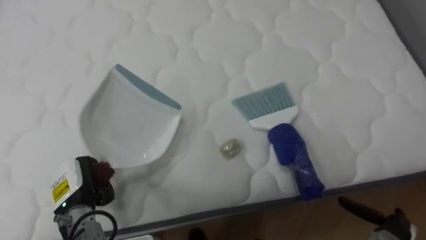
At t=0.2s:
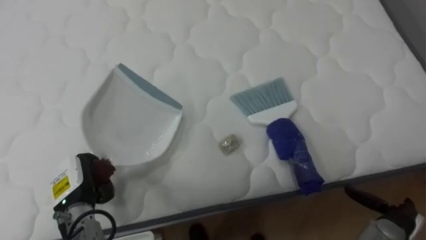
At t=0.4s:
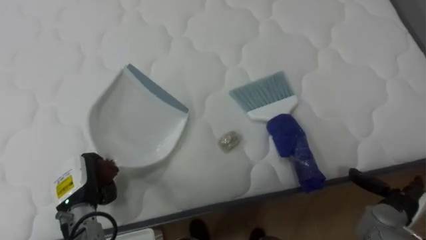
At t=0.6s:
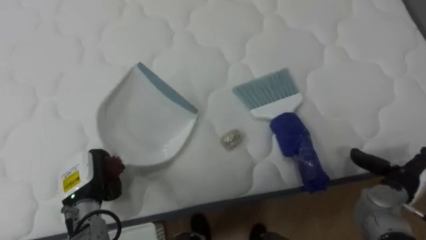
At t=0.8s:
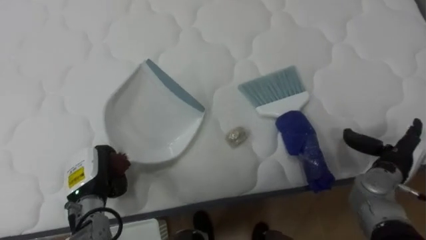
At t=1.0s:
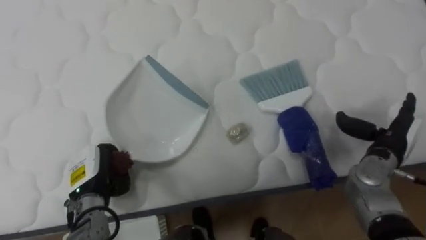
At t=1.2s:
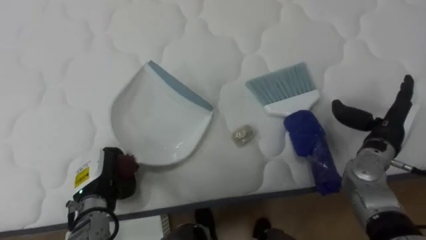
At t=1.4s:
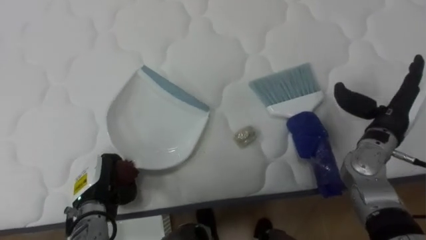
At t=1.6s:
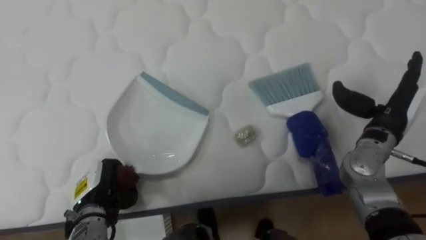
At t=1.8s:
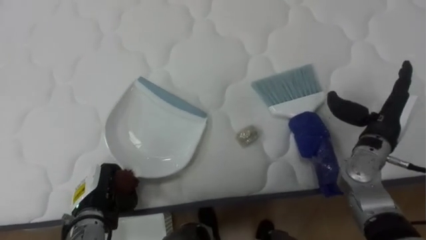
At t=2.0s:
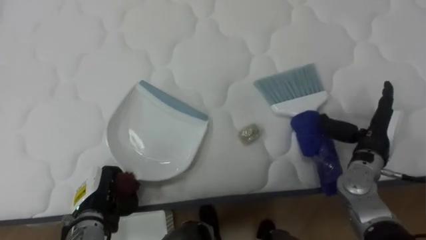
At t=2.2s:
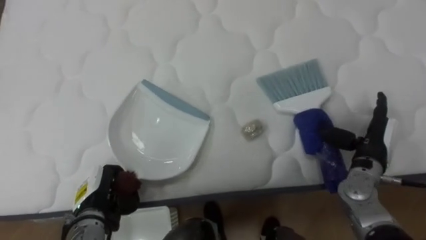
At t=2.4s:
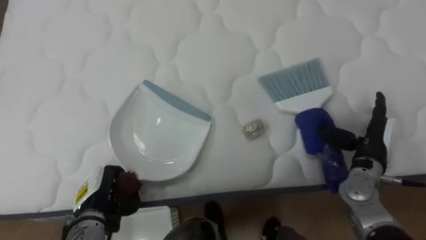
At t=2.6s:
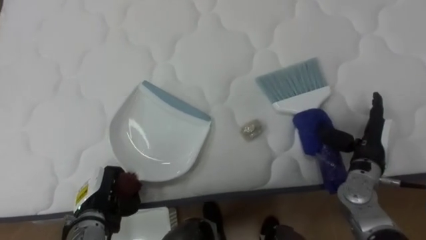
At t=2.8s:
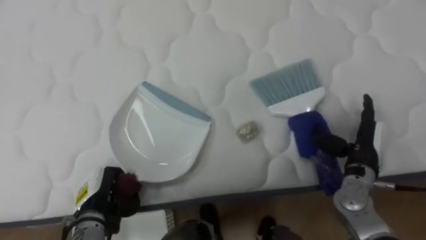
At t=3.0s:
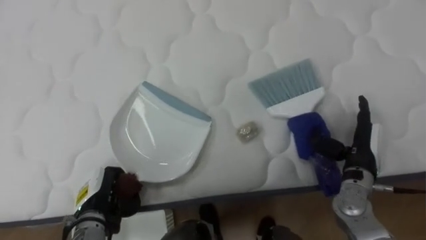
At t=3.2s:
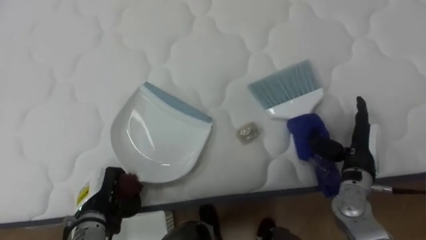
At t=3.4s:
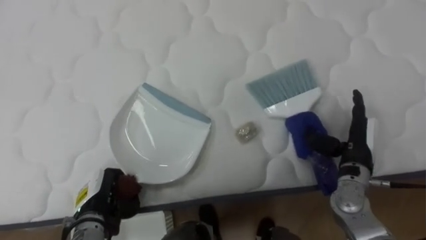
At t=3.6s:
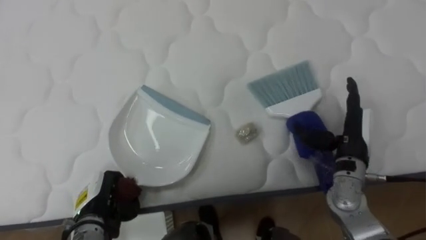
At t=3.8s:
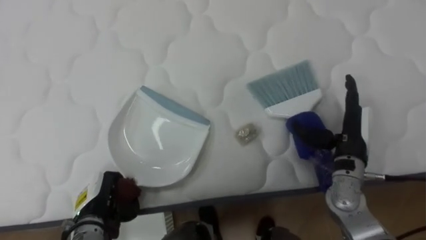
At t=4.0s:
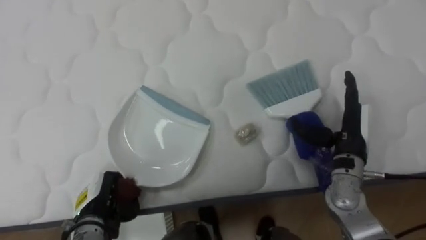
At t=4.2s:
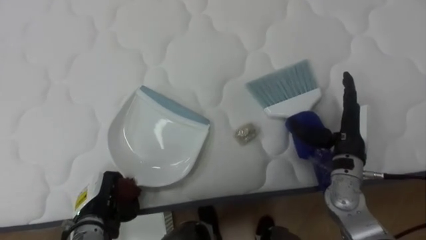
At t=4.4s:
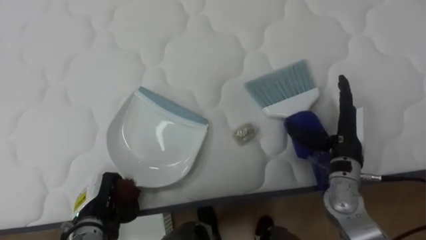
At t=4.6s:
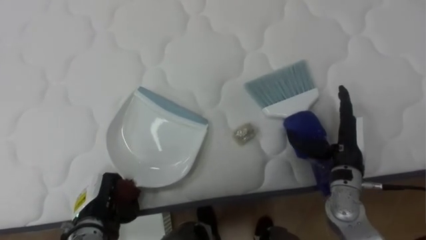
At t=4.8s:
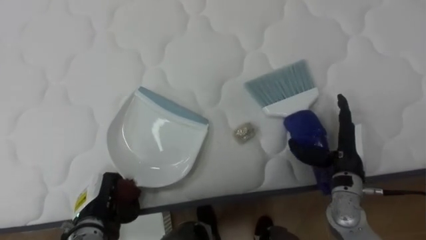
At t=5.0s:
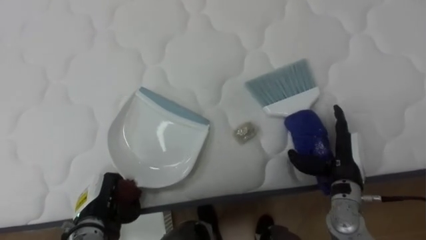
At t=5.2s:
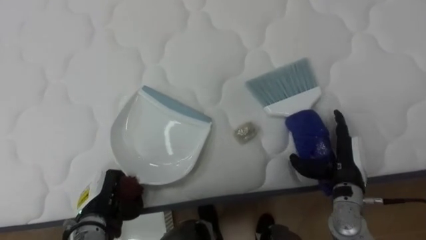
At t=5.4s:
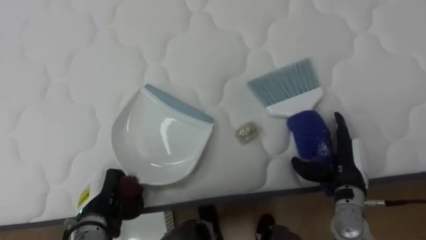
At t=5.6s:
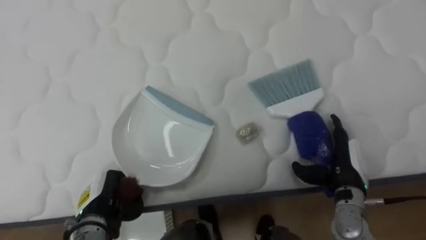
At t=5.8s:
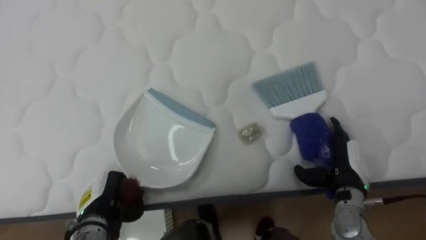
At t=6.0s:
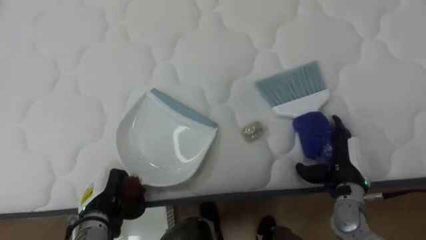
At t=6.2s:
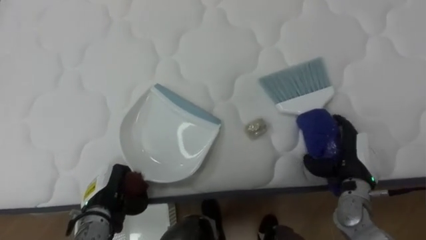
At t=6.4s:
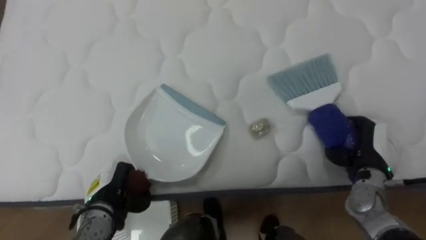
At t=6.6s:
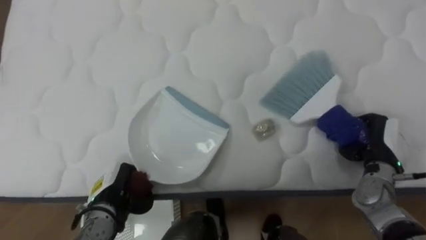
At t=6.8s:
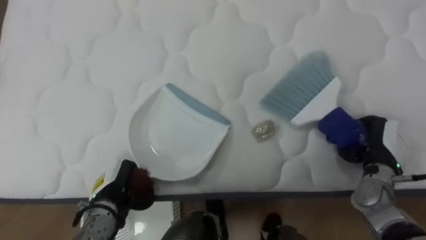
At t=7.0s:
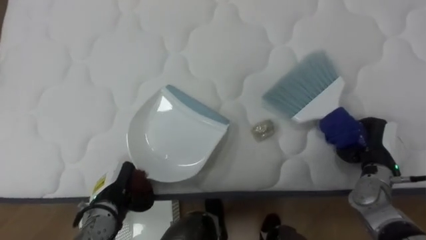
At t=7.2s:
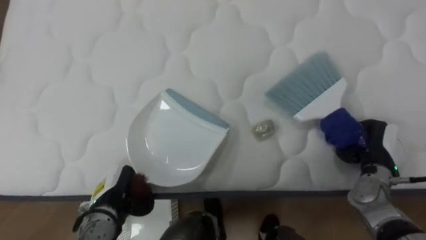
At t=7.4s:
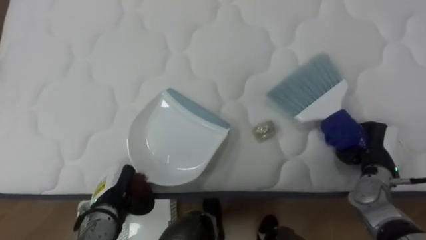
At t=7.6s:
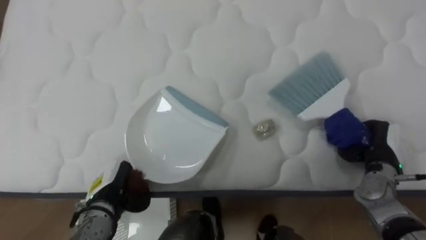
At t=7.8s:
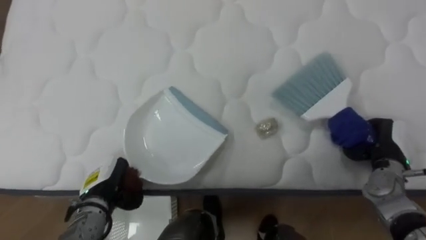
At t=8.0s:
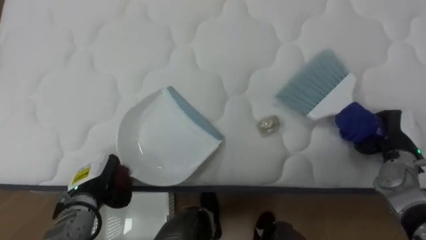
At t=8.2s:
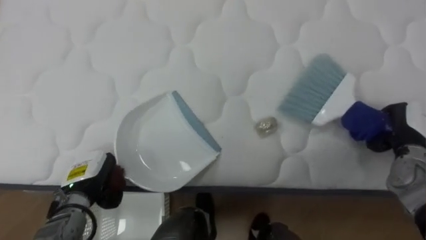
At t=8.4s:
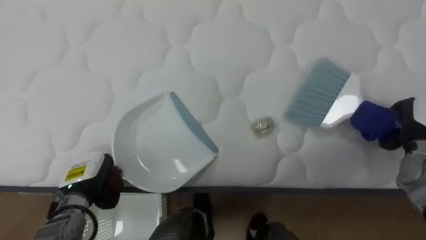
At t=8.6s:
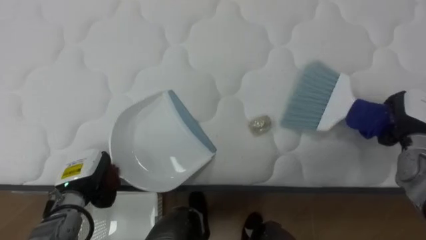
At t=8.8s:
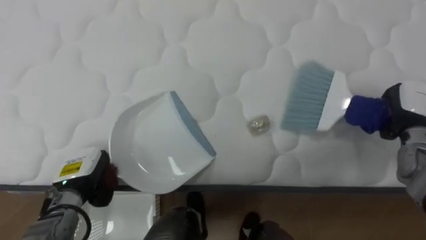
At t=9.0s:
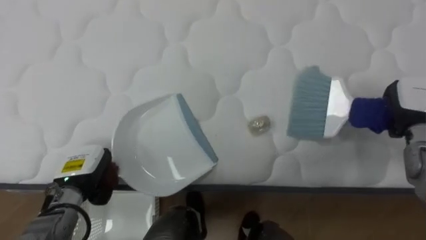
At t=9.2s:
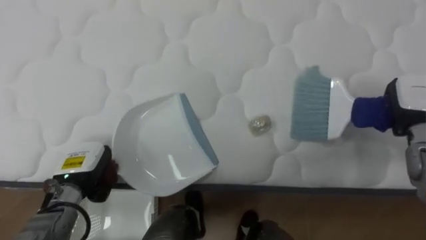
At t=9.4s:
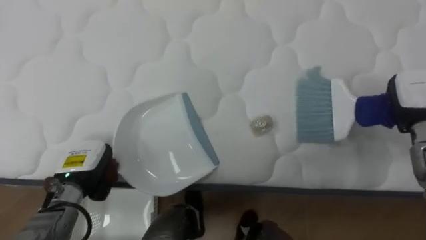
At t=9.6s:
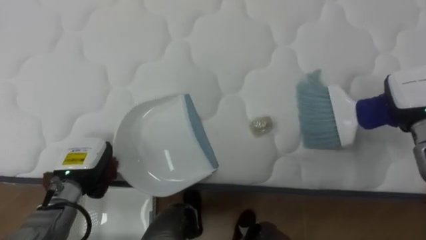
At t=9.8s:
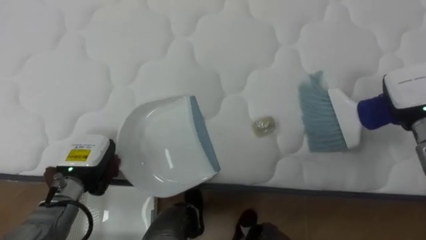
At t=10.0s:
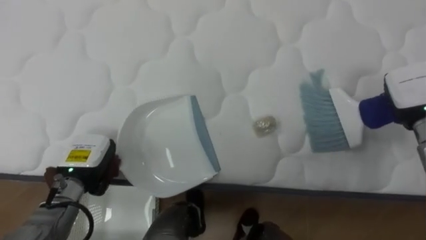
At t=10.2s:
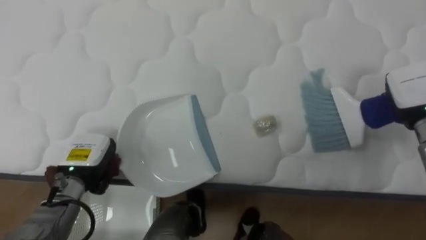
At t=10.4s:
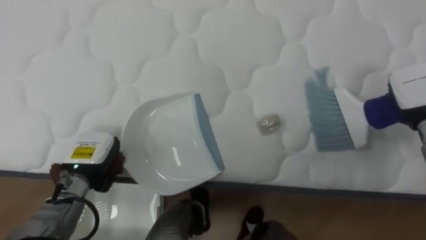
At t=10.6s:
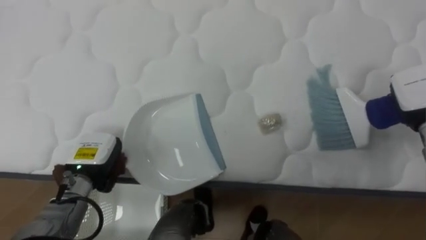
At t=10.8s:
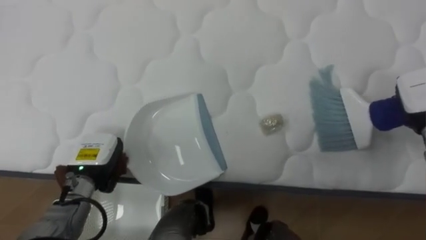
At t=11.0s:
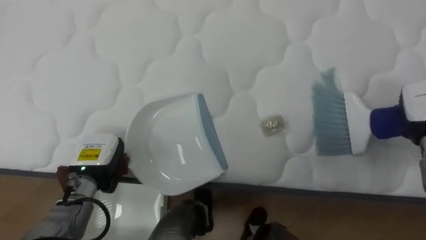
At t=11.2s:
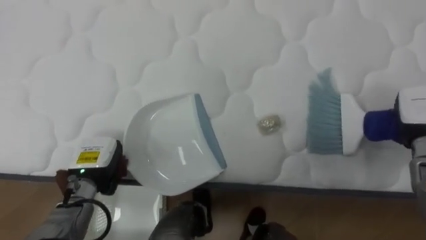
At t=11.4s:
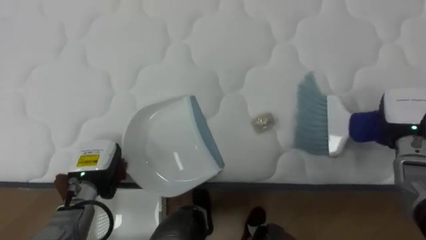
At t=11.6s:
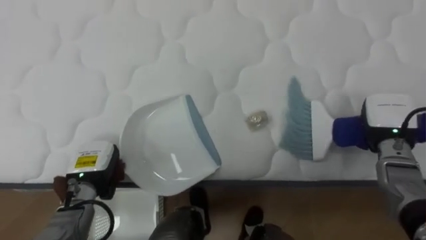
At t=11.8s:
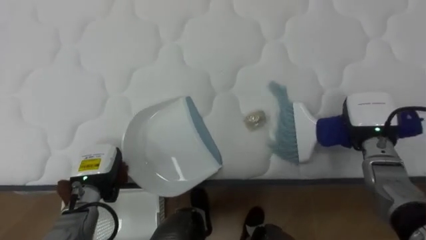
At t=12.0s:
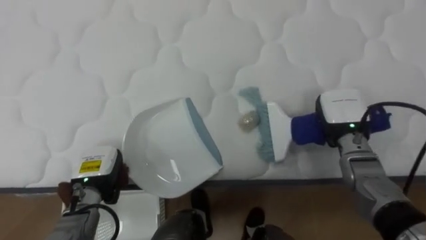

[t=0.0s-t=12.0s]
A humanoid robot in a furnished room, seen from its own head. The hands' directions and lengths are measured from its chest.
Task of the whole recording: Pick up the brush on your right and the dustpan on your left. Use the brush to sweep the crumpled paper on the bed into the dustpan, then turn left and empty it into the basket.
t=0.0s to t=1.6s: The right hand heads upward and forward, covering roughly 25 cm.
t=1.6s to t=3.0s: The right hand travels downward by approximately 10 cm.
t=3.0s to t=4.4s: The right hand changes place by some 5 cm.
t=4.4s to t=6.0s: The right hand moves downward, roughly 5 cm.
t=6.0s to t=7.6s: The right hand shifts some 5 cm to the right, and closes up.
t=7.6s to t=9.0s: The left hand shifts by roughly 5 cm; the right hand travels upward and forward by about 10 cm.
t=10.4s to t=12.0s: The right hand travels to the left and downward by about 15 cm.

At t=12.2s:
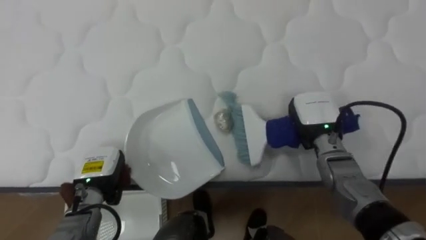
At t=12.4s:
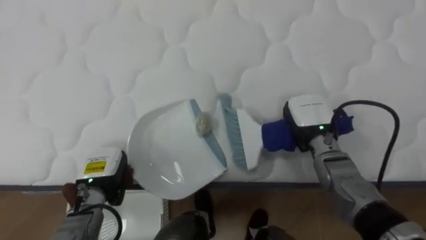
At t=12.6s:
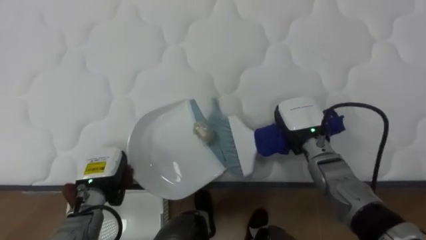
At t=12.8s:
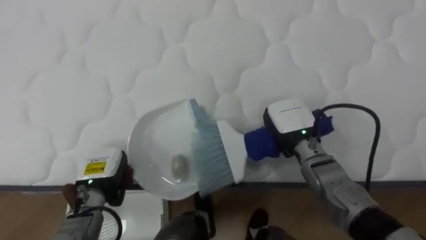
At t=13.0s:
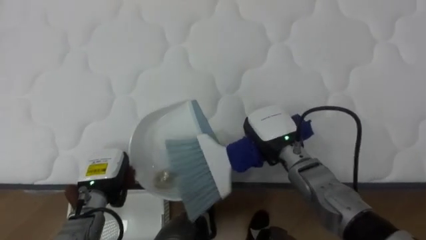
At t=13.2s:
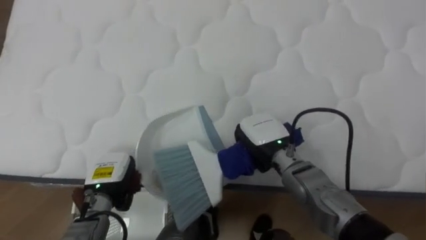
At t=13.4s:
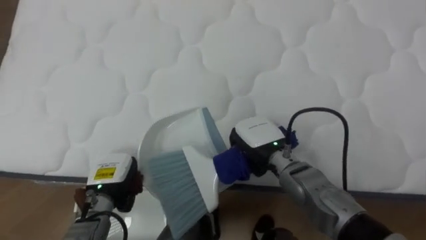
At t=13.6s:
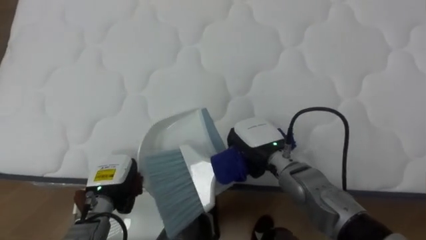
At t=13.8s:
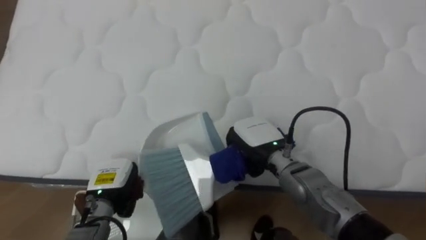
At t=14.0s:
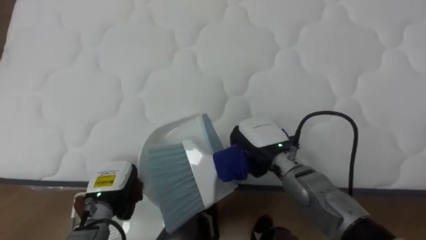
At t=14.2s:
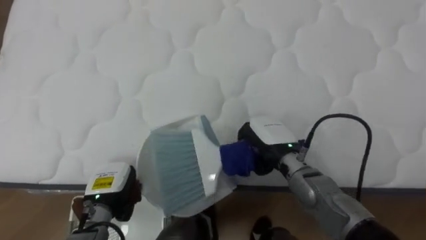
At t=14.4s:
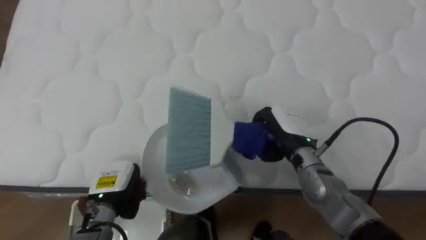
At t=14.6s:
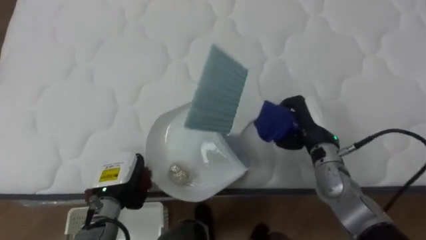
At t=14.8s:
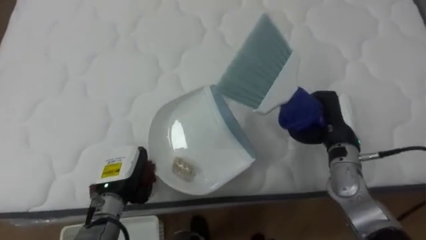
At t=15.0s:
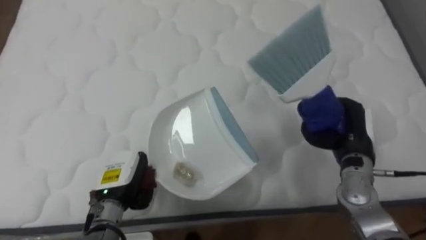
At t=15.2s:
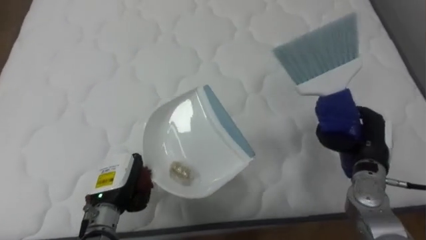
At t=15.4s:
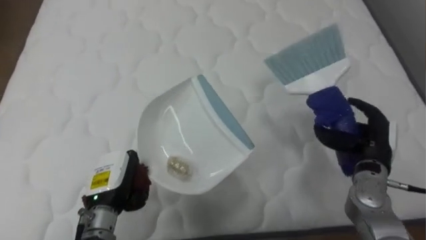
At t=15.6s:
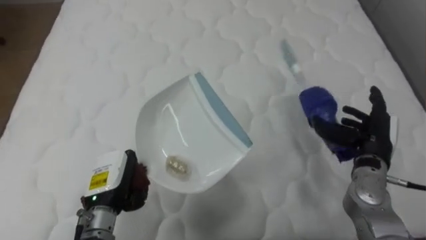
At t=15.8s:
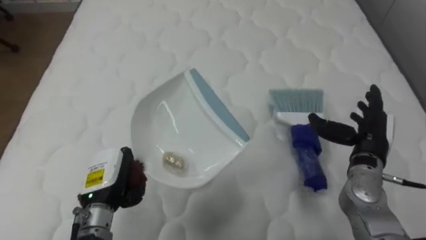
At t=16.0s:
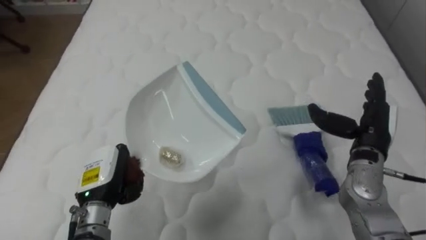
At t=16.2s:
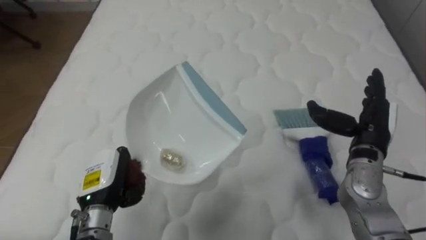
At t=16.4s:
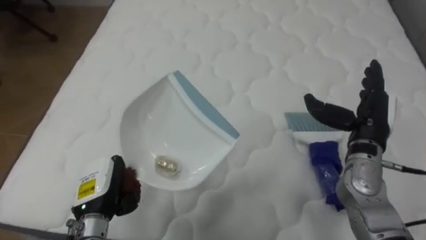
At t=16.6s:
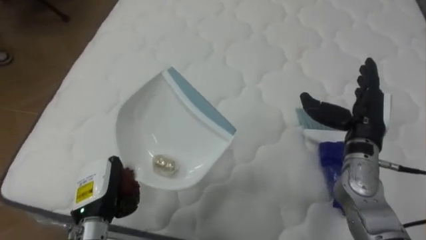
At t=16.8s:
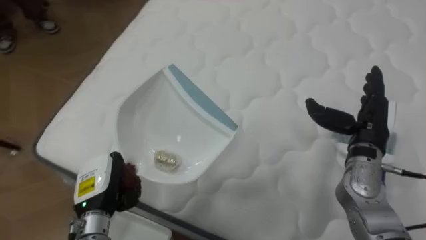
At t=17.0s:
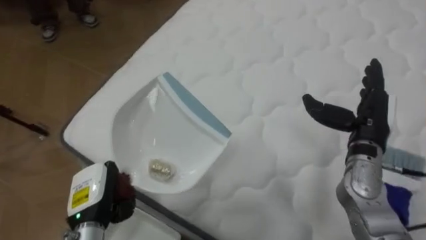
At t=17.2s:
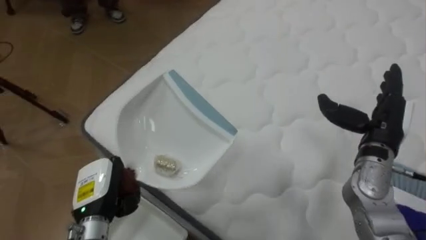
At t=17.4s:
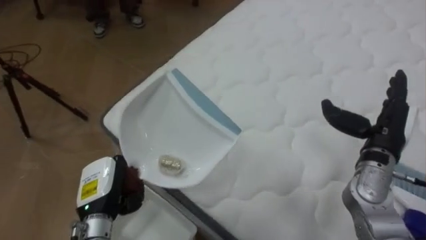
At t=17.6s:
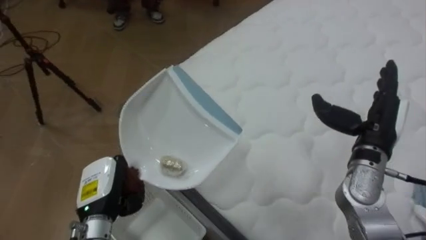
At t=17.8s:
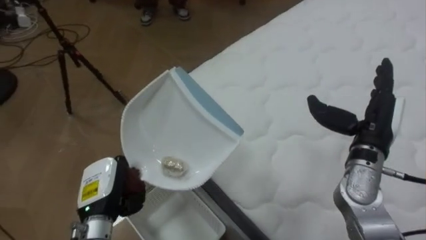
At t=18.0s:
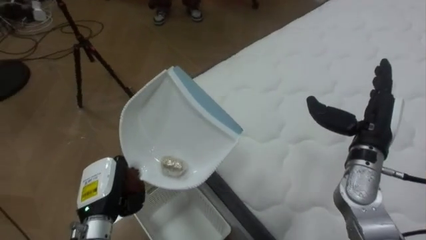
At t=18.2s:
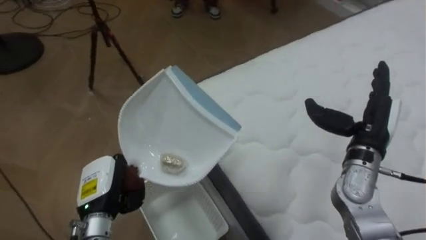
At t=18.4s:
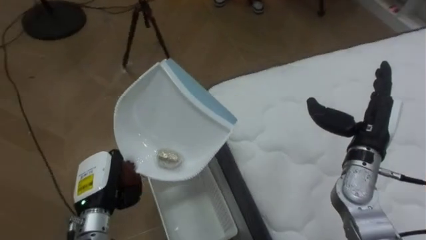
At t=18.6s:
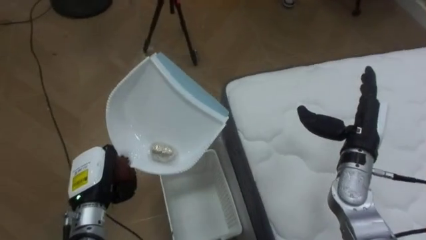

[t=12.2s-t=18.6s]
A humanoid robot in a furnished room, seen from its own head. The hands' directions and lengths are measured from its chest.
Task of the whole recording: Pick up the brush on your right and the dustpan on your left. Use the brush to sweep the crumpled paper on the bed into the dustpan, then turn left and empty it into the basket.
t=12.2s to t=13.8s: The right hand goes approximately 10 cm to the left.
t=13.8s to t=15.4s: The right hand goes about 20 cm to the right, and opens.
t=15.4s to t=17.0s: The robot turns to its left by about 30 degrees. The right hand travels upward by roughly 5 cm.
t=17.0s to t=18.6s: The robot turns to its left by roughly 45 degrees.
